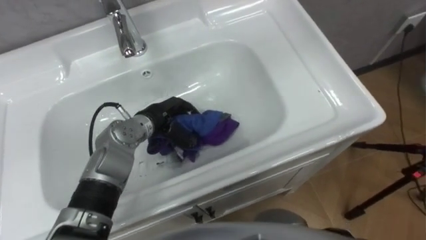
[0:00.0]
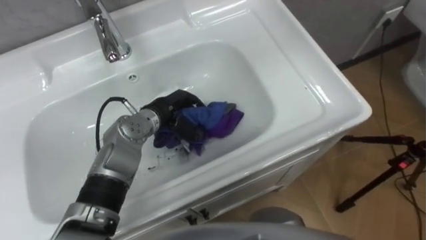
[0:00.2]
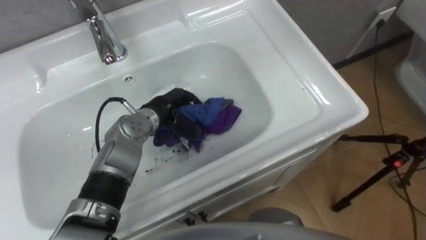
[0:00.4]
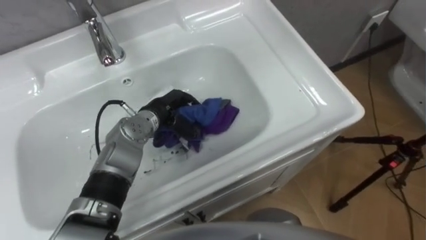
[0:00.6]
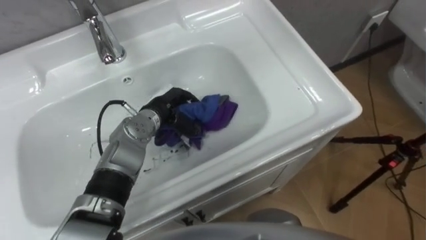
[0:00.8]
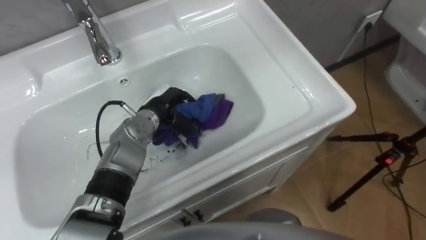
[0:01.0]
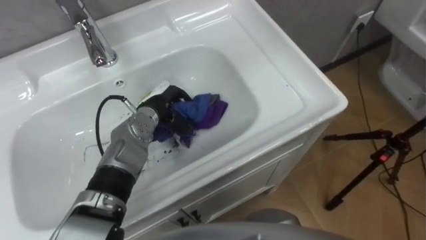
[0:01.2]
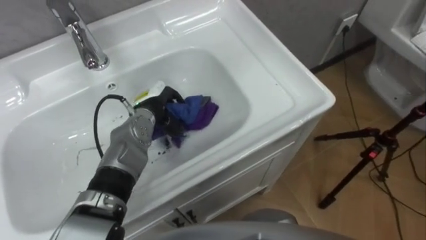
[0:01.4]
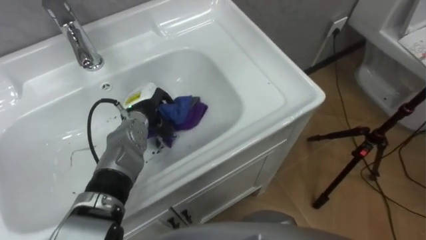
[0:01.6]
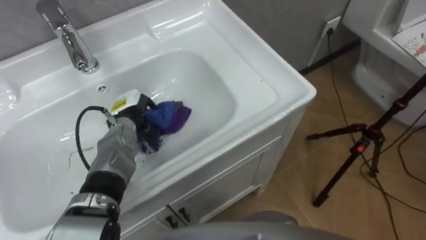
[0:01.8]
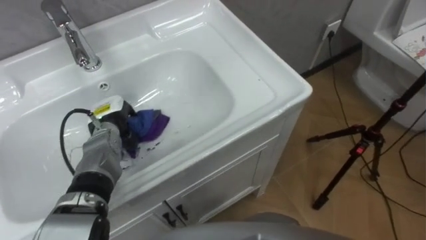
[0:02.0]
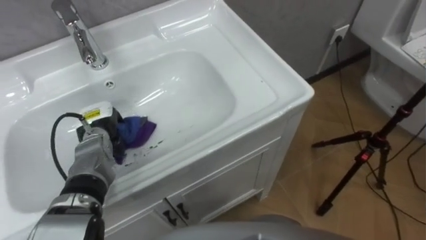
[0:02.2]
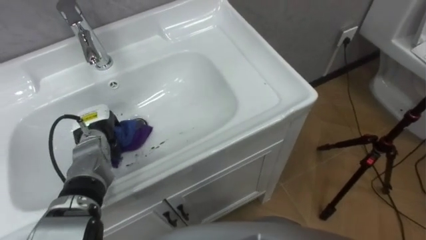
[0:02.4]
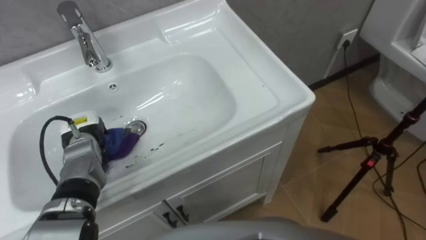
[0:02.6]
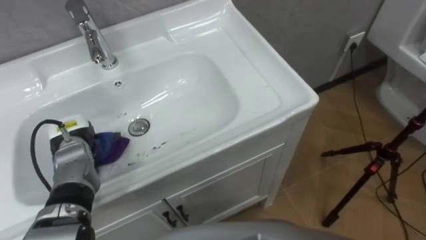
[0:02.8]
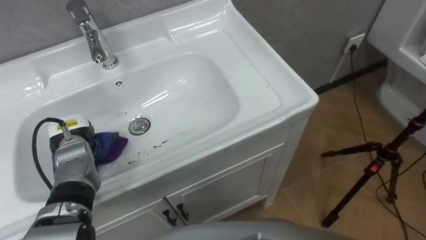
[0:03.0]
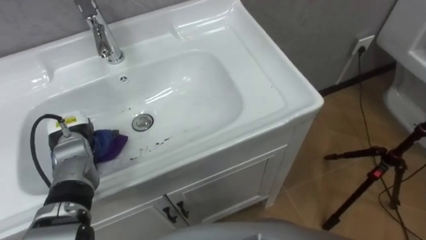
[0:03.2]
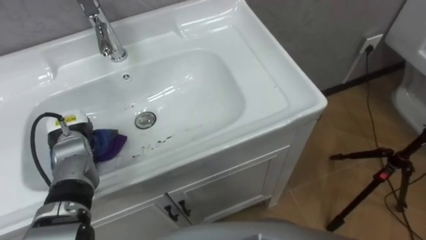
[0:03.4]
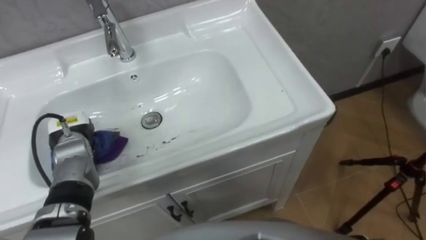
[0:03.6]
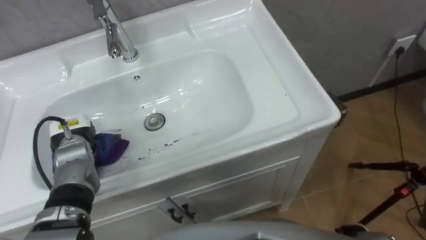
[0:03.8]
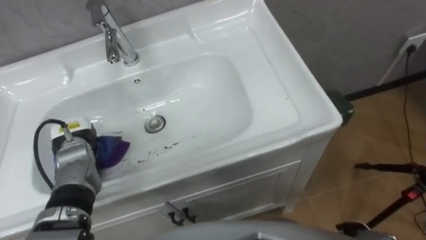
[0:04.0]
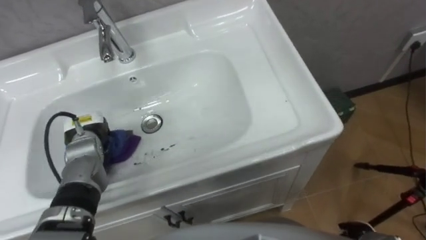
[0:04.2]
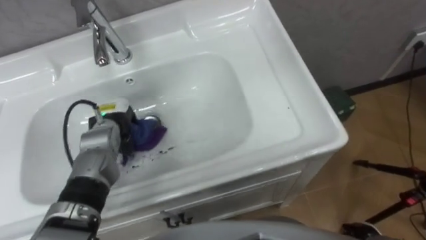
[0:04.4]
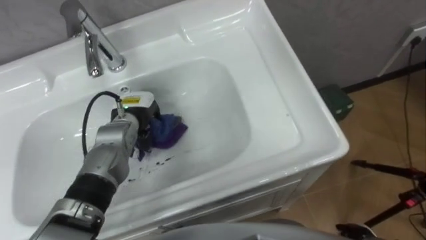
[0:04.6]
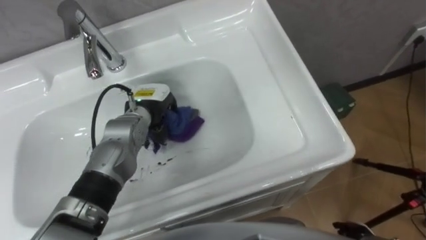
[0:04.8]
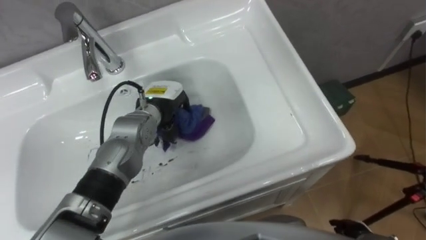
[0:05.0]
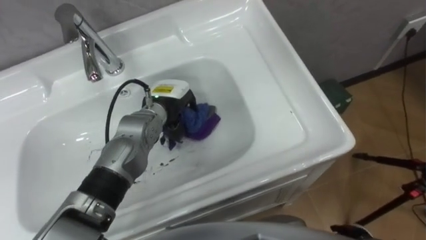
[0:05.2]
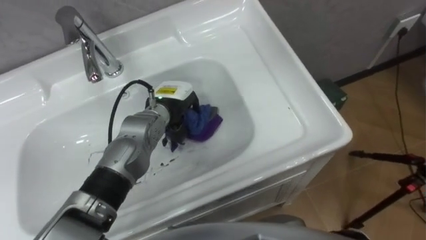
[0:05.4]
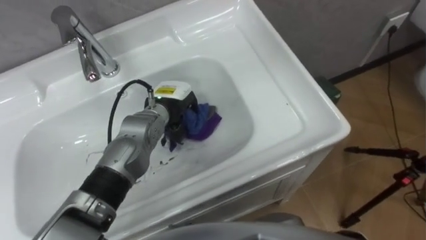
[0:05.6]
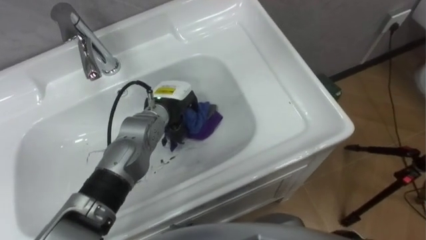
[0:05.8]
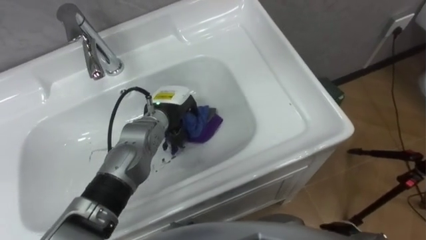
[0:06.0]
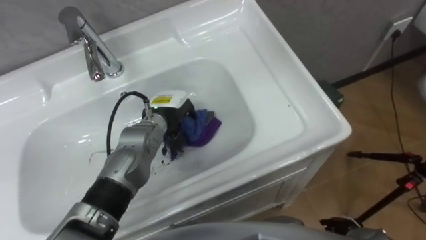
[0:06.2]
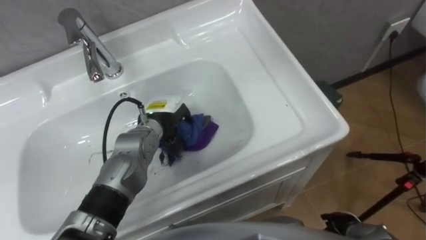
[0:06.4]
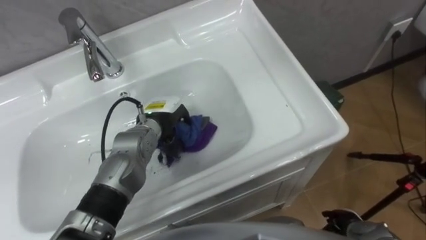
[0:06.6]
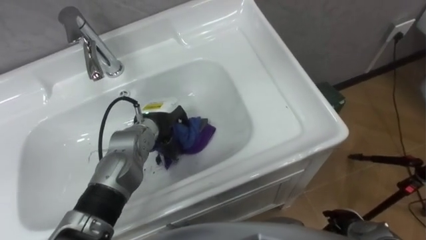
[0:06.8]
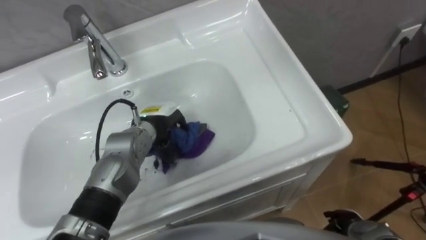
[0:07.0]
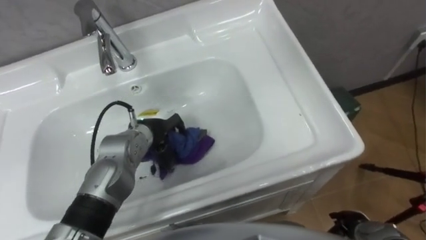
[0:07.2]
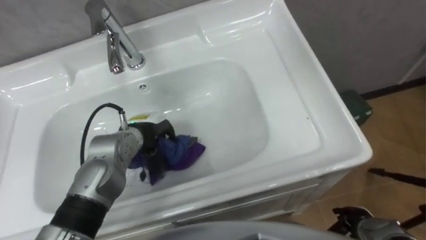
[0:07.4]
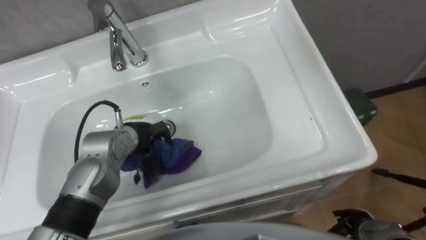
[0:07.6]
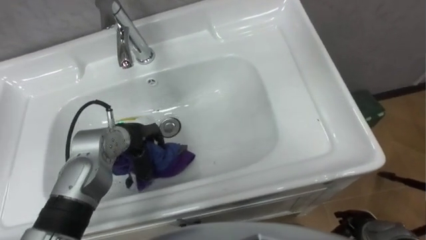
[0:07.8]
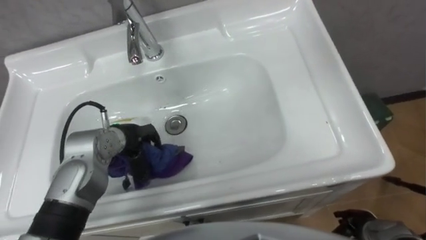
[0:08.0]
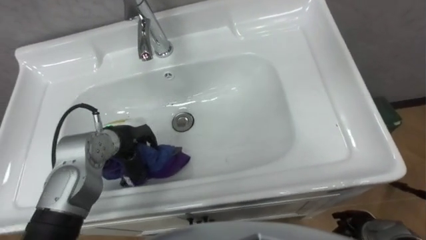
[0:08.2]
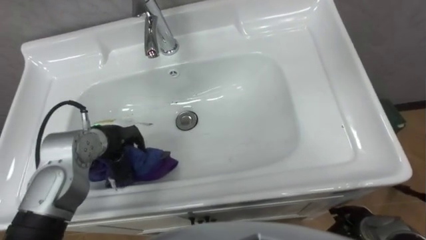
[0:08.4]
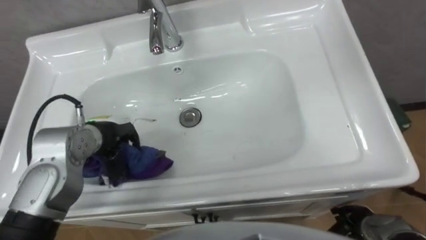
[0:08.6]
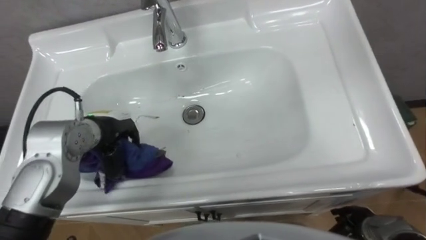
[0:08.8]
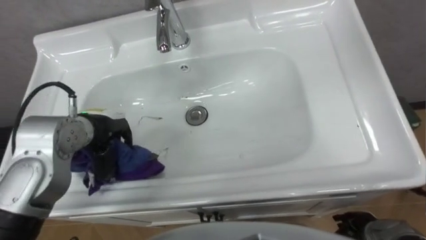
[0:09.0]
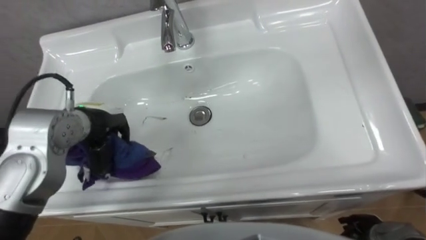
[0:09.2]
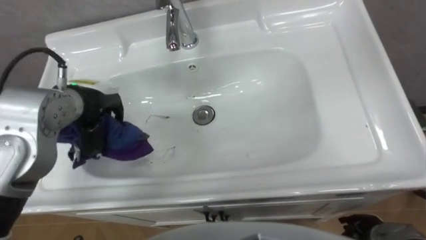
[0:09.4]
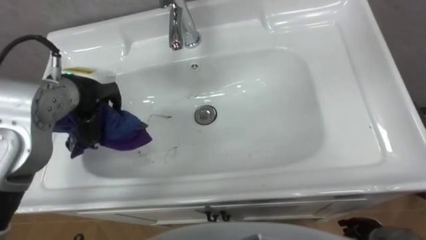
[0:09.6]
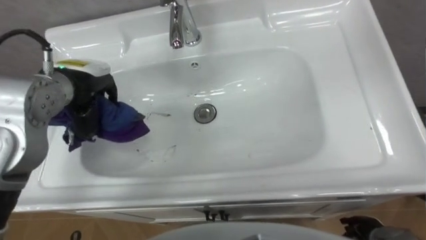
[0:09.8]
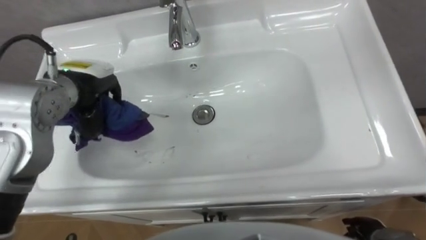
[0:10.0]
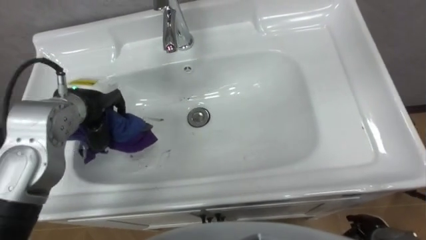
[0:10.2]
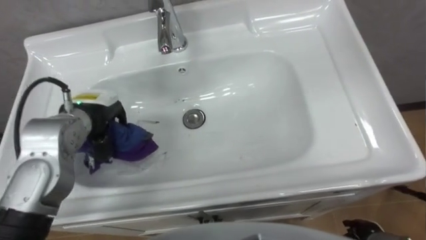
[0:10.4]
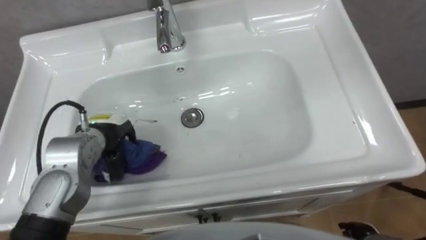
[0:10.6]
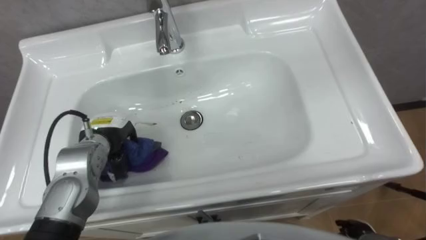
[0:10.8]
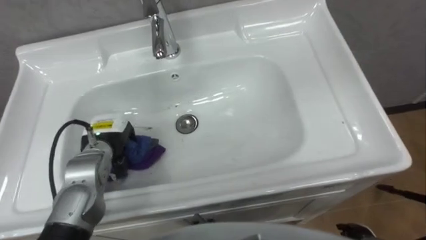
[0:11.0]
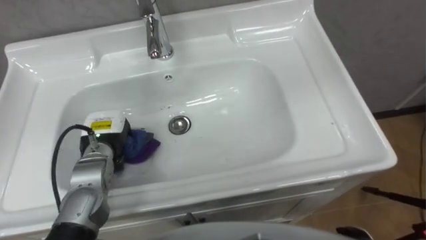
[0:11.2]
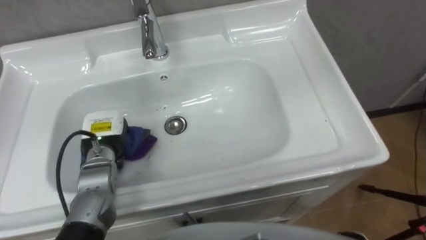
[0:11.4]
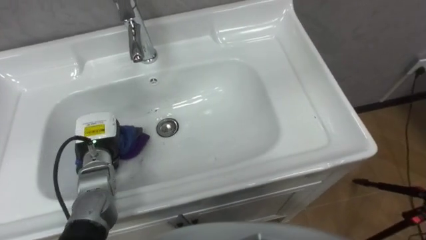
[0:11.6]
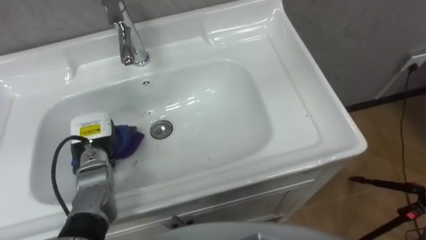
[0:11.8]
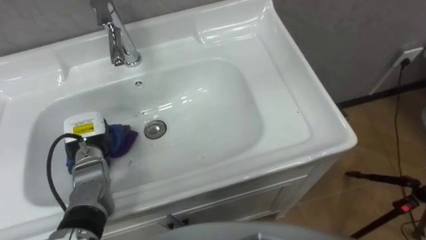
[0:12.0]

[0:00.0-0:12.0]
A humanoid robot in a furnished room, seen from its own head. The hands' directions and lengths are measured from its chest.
Task of the whole recording: Use the cloth on the right to wipe away the black stain in the sink.
0:00.0 to 0:01.6: The left hand ends up about 5 cm from where it was.
0:01.6 to 0:03.0: The left hand heads to the left and backward, covering about 15 cm.
0:03.0 to 0:04.4: The left hand goes some 10 cm to the right.
0:04.4 to 0:06.0: The left hand is displaced to the right by some 15 cm.
0:06.0 to 0:07.6: The left hand is displaced to the left by about 5 cm.
0:07.6 to 0:09.0: The left hand moves upward and to the left, approximately 10 cm.
0:10.4 to 0:12.0: The left hand shifts roughly 10 cm downward.

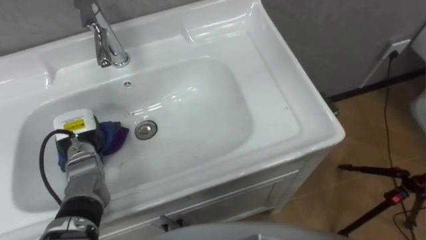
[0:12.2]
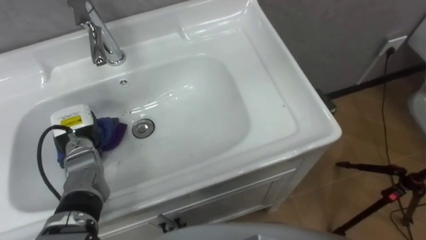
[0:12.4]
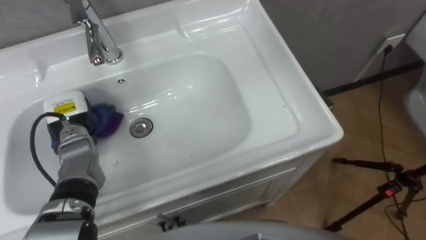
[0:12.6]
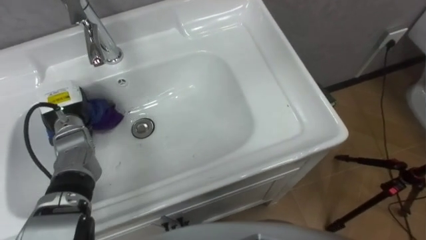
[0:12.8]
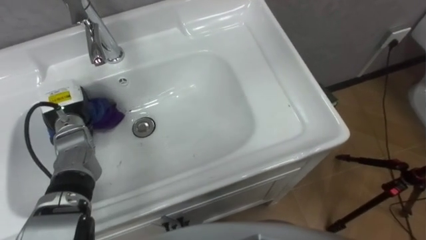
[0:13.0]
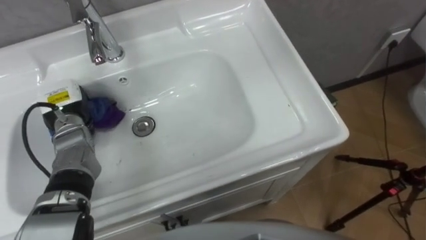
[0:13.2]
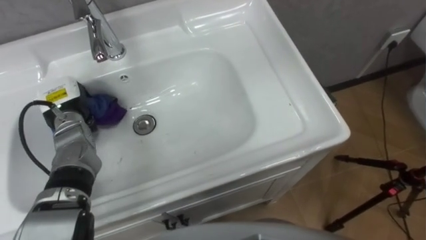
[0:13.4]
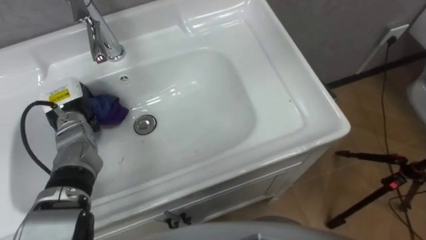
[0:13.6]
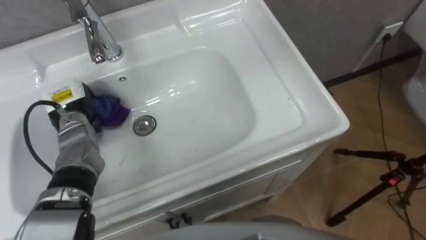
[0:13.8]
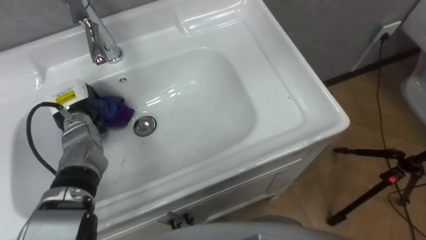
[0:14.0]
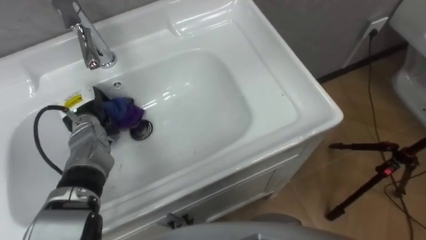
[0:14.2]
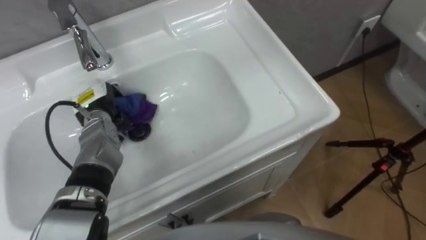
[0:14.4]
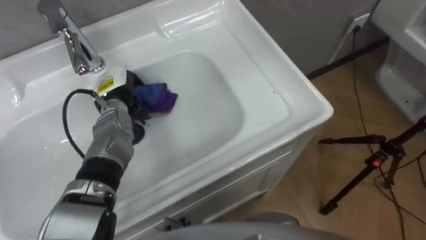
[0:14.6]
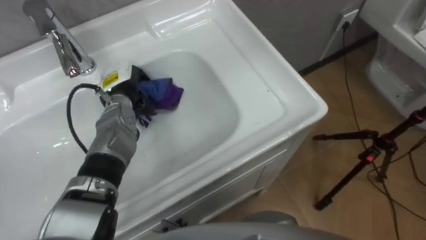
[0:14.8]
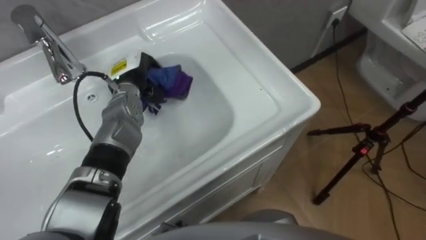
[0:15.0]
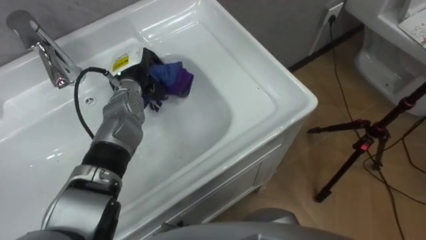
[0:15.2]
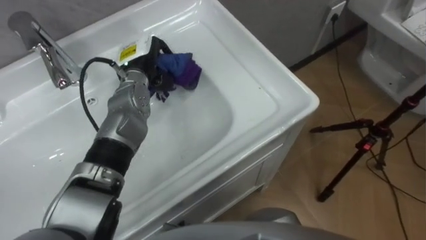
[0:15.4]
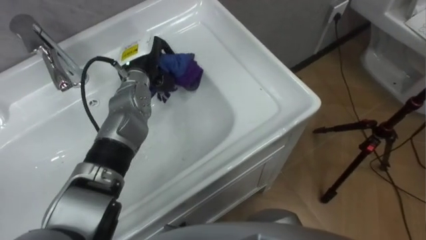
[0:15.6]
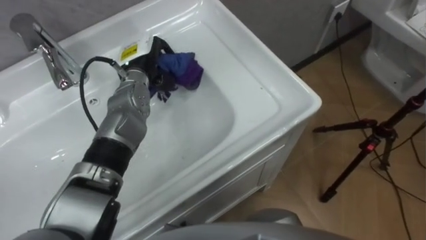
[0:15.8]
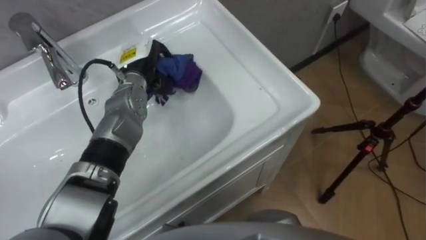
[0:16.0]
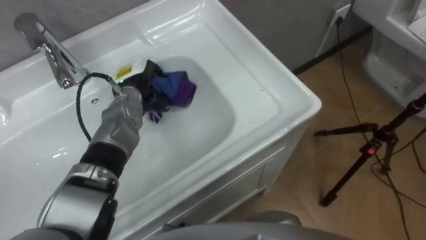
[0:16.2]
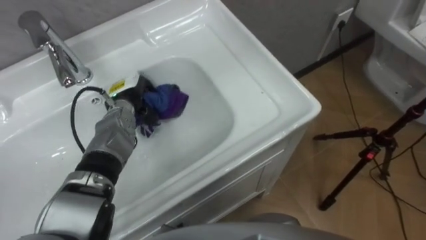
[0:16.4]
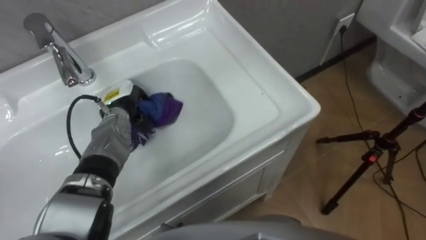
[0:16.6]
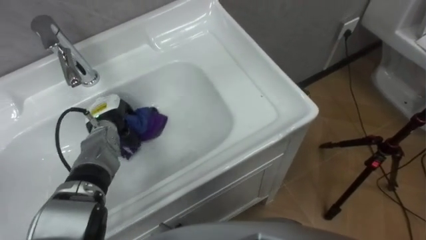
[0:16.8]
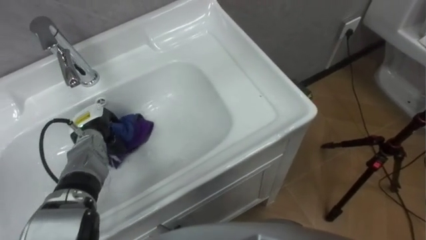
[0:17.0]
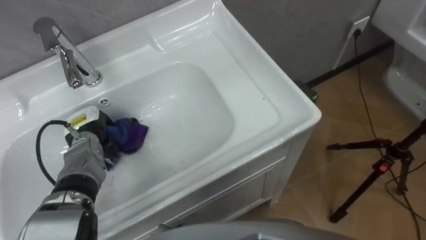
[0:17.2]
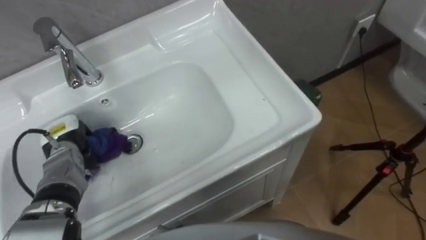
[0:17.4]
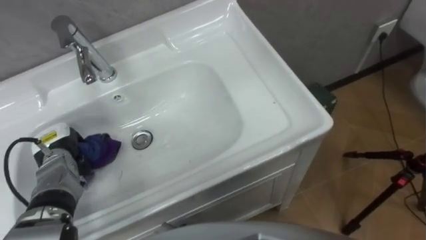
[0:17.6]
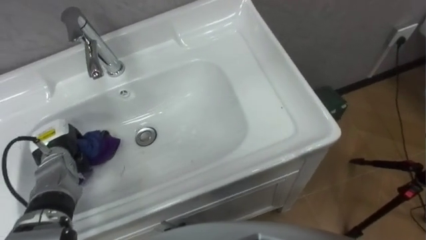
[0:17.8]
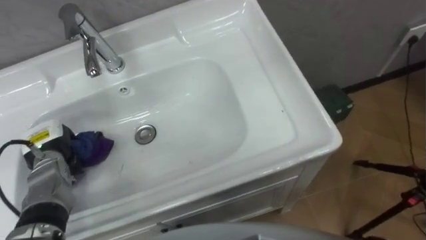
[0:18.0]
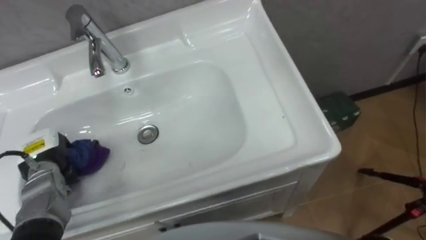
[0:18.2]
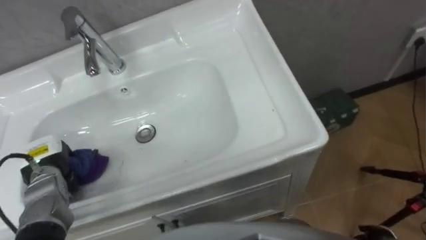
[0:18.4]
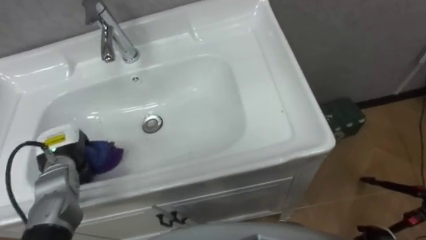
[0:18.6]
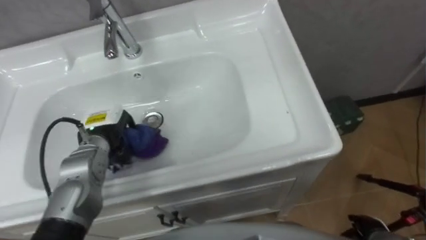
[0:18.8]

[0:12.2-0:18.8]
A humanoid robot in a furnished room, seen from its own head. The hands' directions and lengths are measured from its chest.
Task of the whole recording: Use the cloth on the right to wipe away the black stain in the sink.
0:12.2 to 0:13.8: The left hand heads forward, covering approximately 5 cm.
0:13.8 to 0:15.4: The left hand moves to the right and forward, about 15 cm.
0:15.4 to 0:17.2: The left hand is displaced to the left, downward and backward by some 20 cm.
0:17.2 to 0:18.8: The left hand heads to the right, covering roughly 5 cm.
